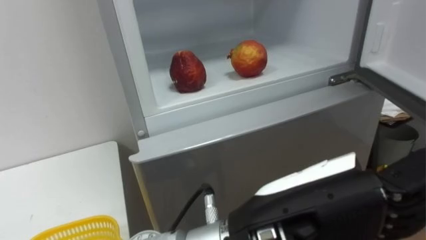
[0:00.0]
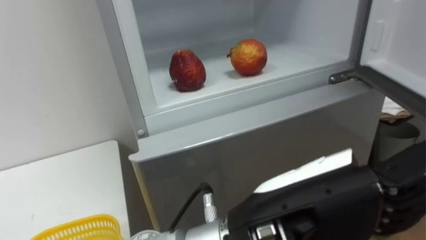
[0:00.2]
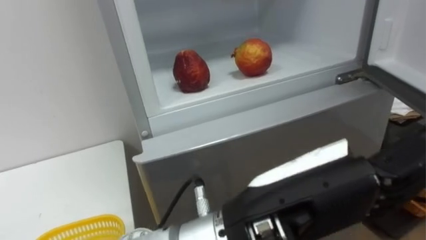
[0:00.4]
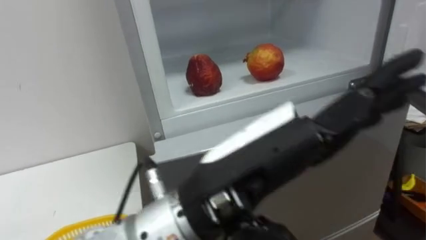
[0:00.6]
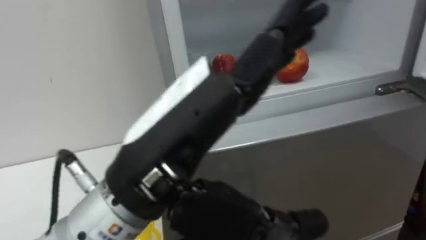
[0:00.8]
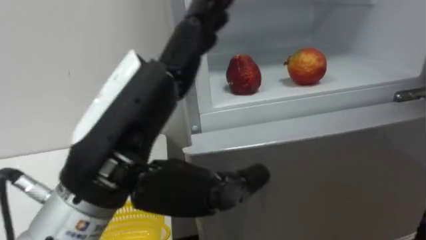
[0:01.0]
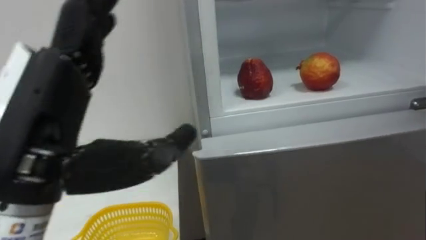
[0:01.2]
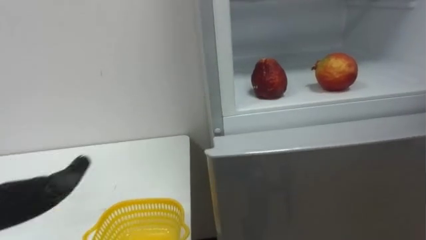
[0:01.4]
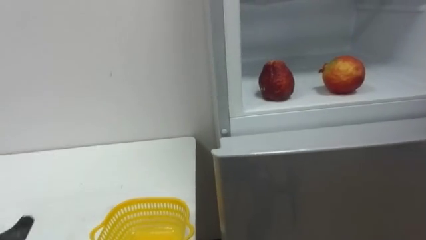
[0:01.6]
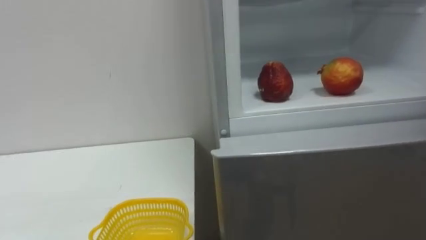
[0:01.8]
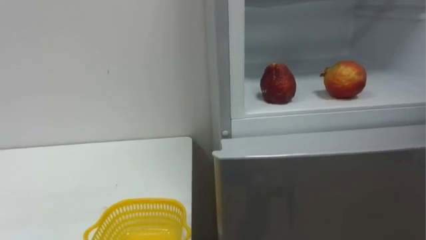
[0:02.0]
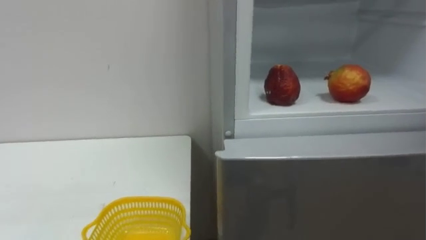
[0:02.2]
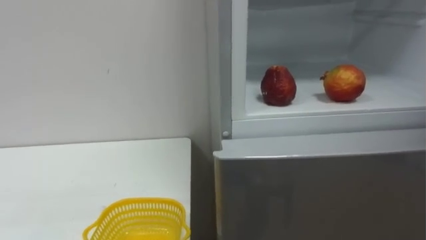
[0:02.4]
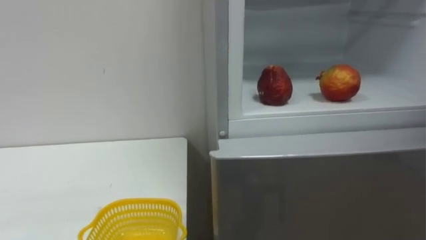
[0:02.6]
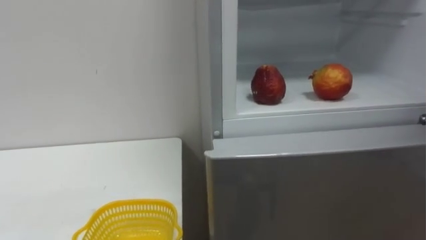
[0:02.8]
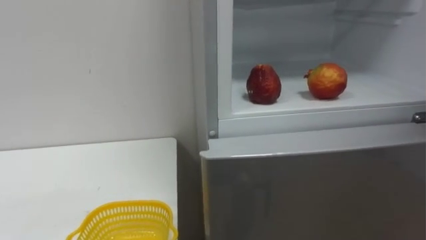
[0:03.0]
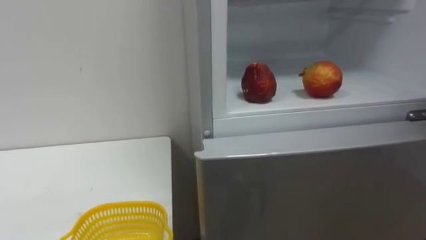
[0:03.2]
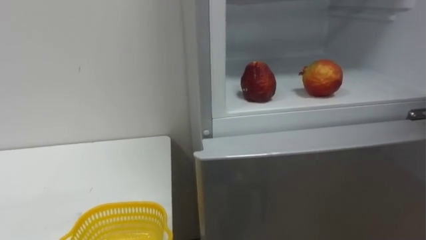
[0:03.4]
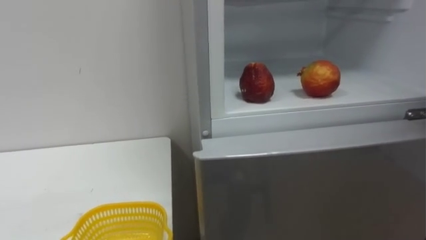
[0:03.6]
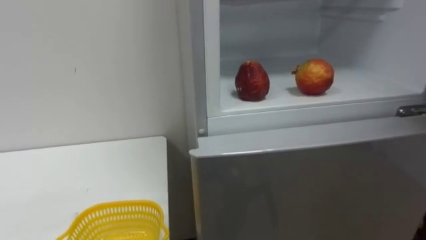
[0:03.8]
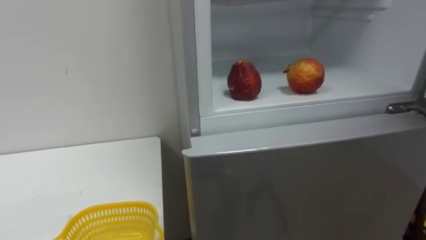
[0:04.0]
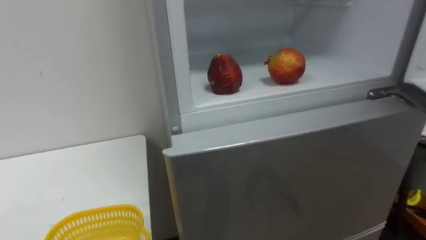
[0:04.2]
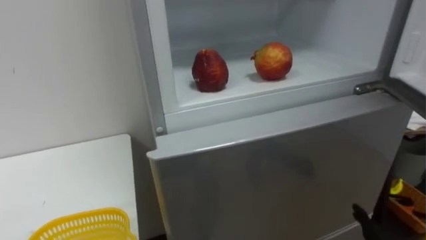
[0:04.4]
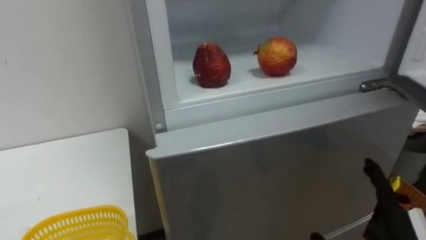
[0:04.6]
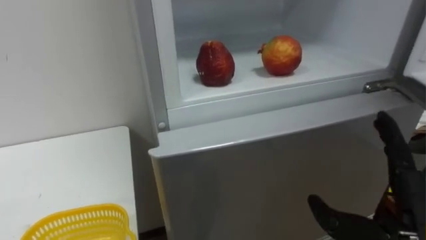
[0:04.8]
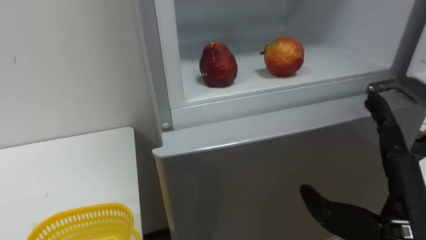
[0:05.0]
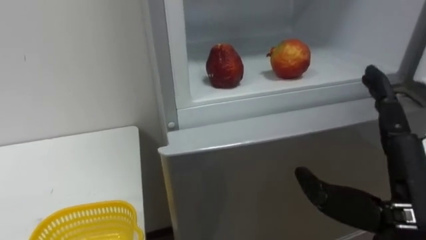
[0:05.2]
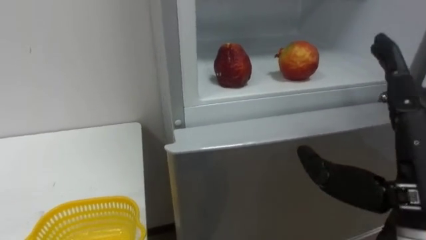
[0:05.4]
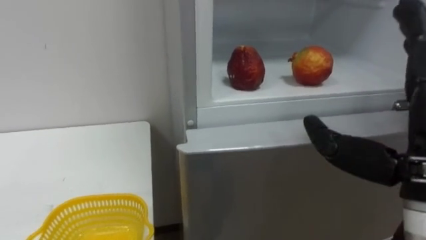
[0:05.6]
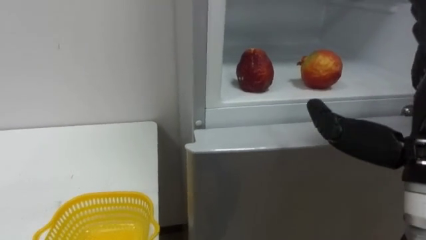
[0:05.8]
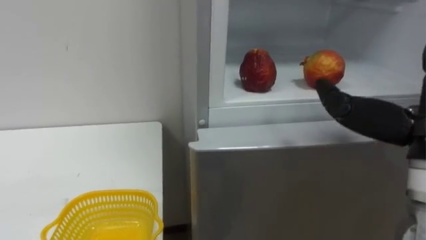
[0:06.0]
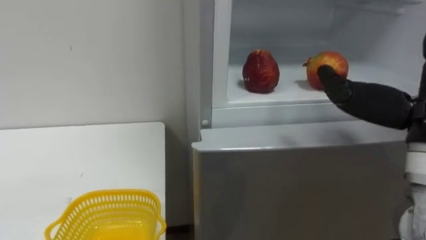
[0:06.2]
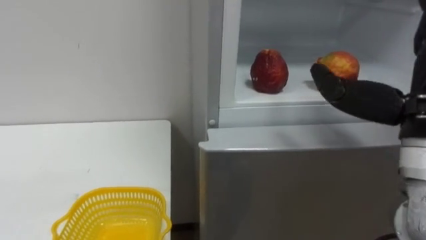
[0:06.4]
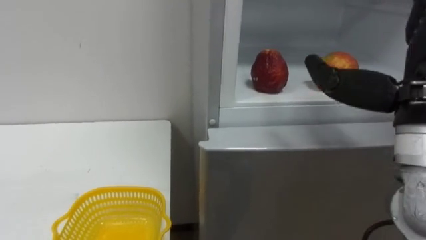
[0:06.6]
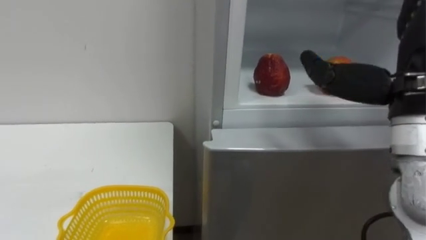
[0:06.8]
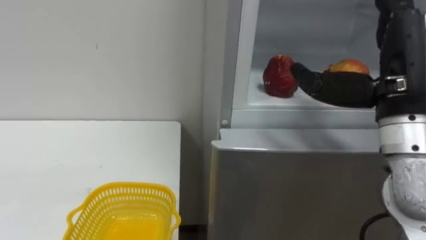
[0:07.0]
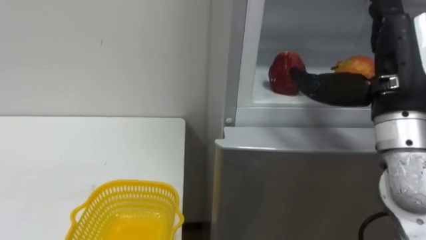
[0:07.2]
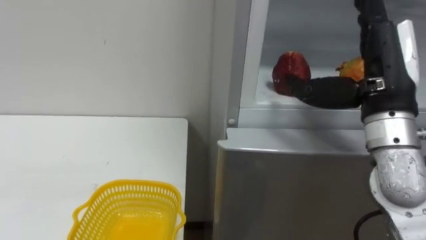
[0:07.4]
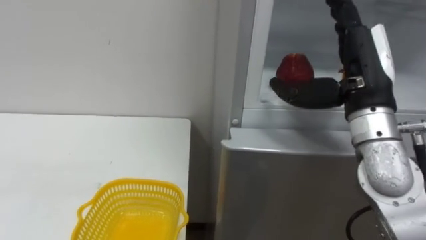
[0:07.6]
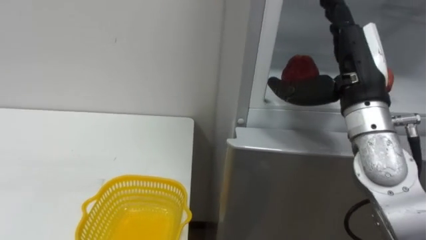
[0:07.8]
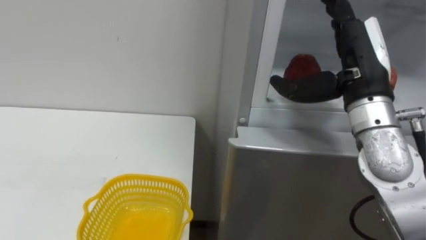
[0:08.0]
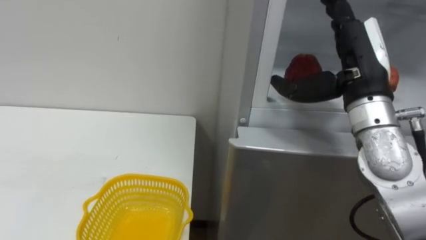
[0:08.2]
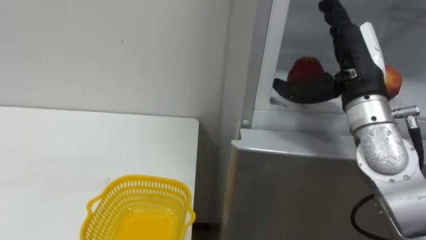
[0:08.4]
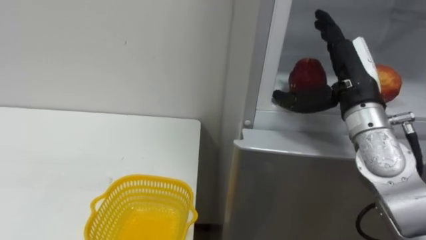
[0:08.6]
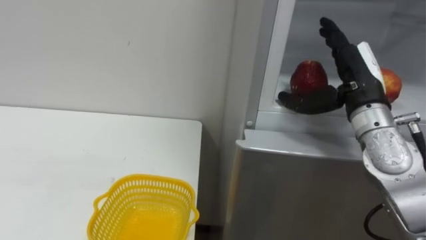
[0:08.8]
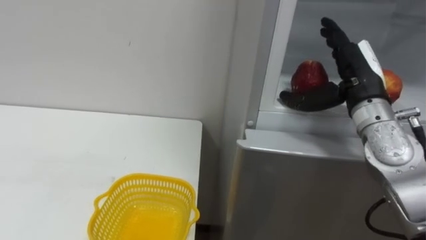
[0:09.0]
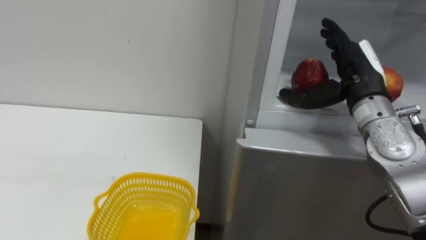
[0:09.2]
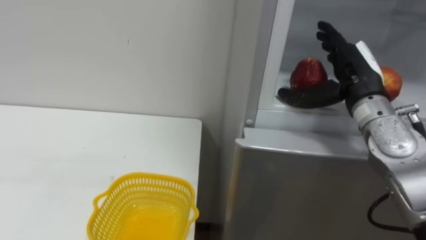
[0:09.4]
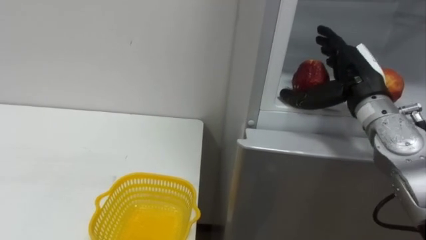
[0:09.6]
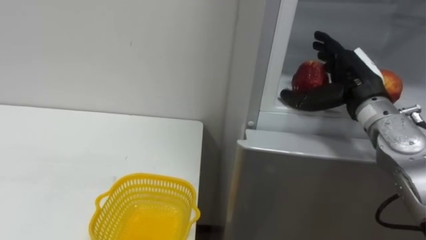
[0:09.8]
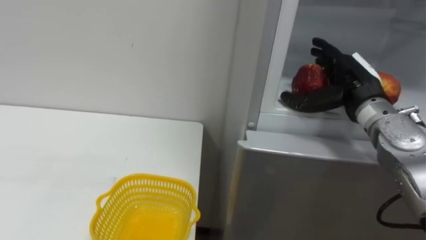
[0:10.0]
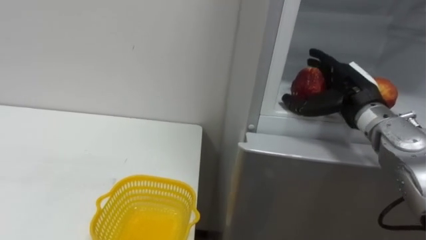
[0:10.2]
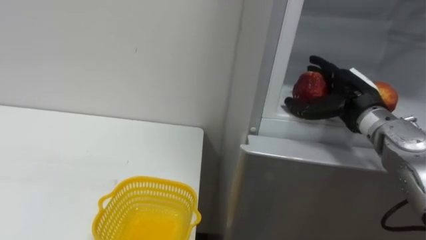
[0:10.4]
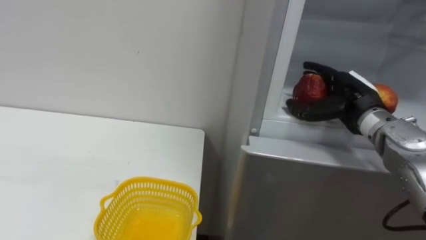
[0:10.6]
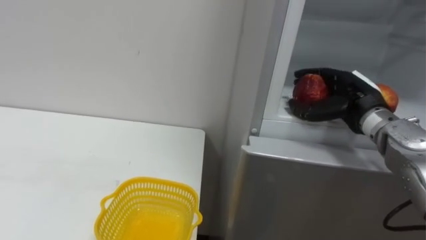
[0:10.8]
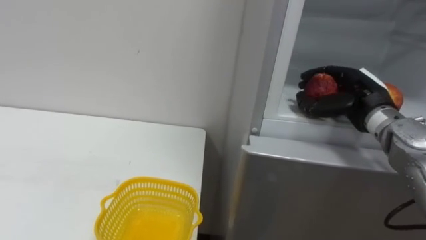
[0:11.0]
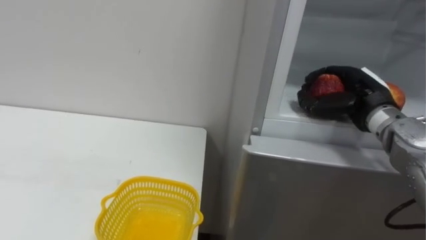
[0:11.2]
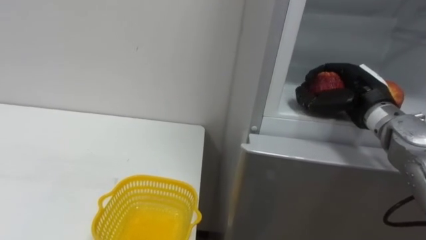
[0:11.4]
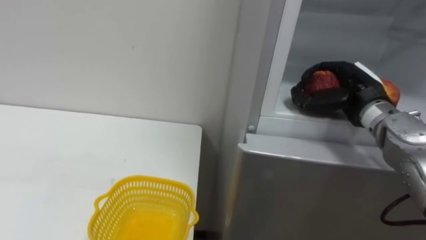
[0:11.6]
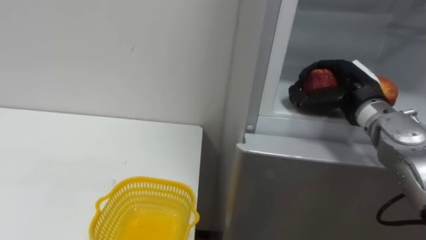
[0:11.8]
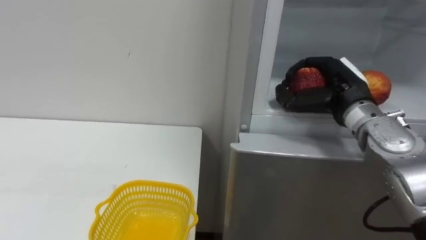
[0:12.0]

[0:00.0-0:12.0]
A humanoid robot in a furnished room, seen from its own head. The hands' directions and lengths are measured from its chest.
Task of the whole recording: Open the refrigerator door, take out the apple and the pomegranate, place them in the fruit basket on the left, and close the refrigerator door.
0:07.6 to 0:09.0: The right hand goes approximately 5 cm forward.
0:09.0 to 0:10.4: The right hand ends up roughly 5 cm from where it was.
0:10.4 to 0:12.0: The right hand closes up.

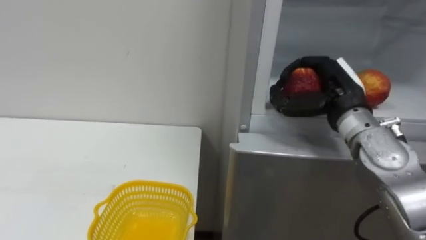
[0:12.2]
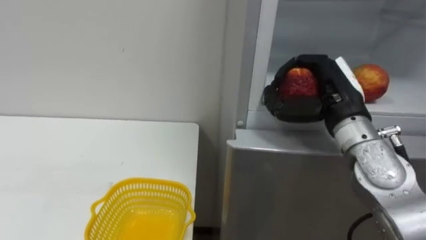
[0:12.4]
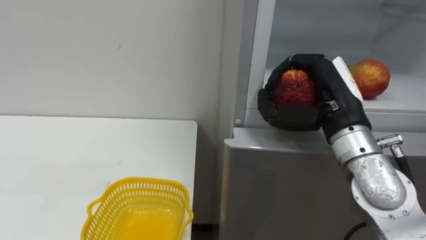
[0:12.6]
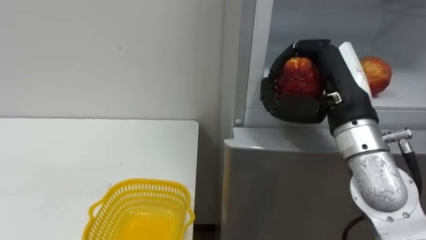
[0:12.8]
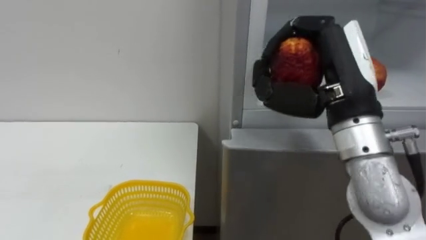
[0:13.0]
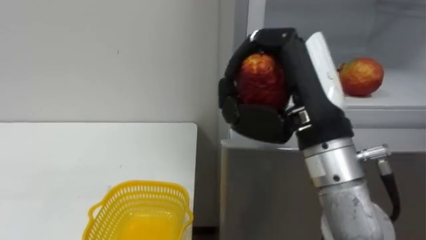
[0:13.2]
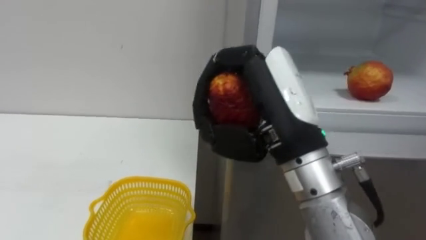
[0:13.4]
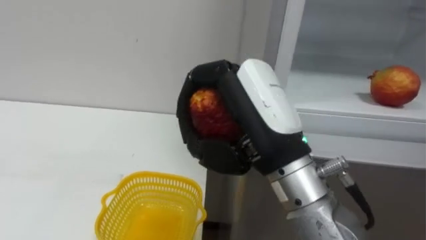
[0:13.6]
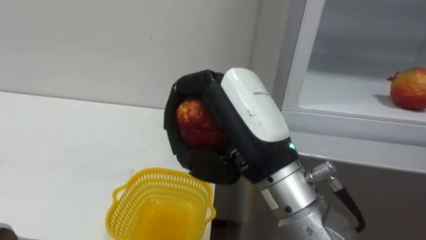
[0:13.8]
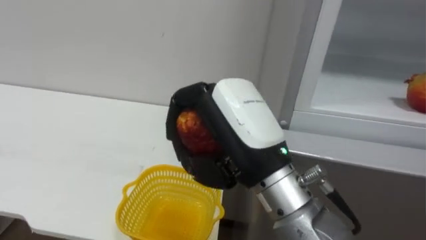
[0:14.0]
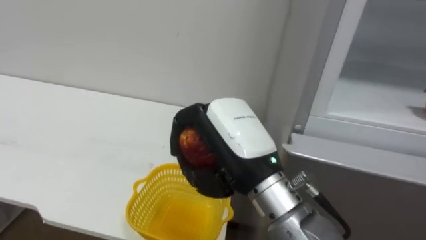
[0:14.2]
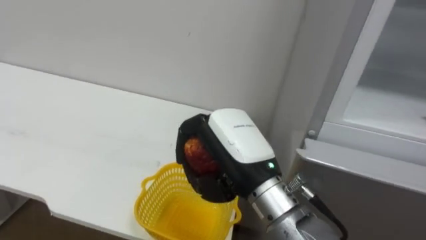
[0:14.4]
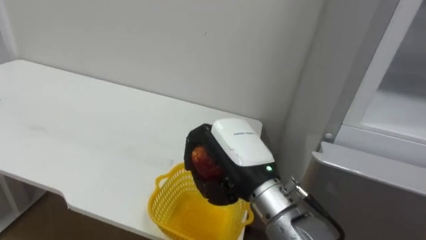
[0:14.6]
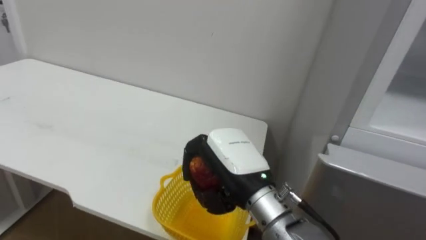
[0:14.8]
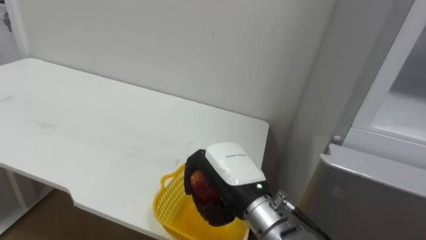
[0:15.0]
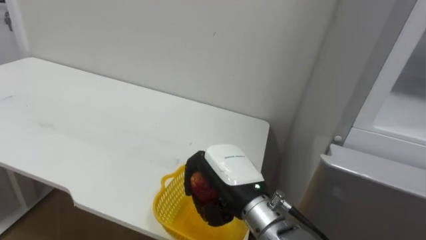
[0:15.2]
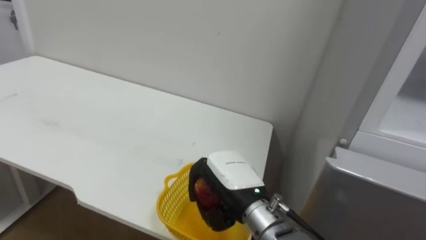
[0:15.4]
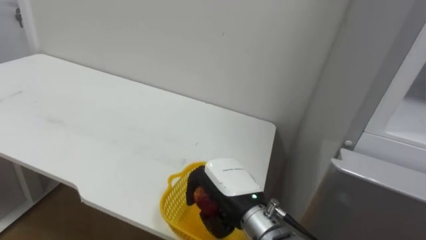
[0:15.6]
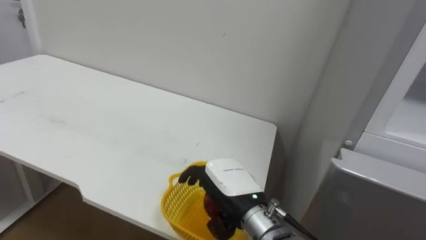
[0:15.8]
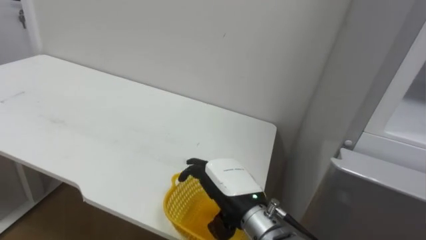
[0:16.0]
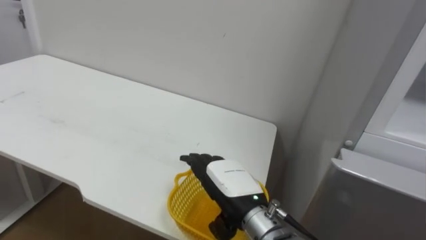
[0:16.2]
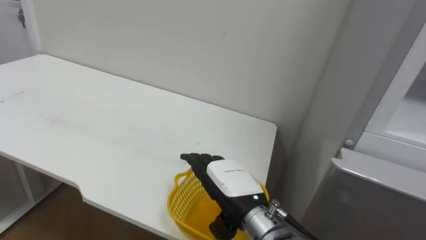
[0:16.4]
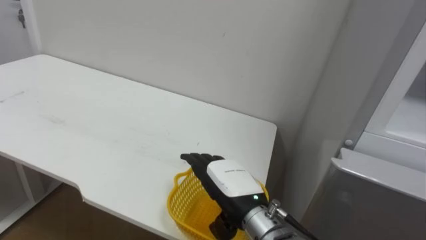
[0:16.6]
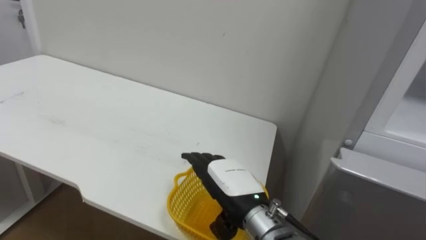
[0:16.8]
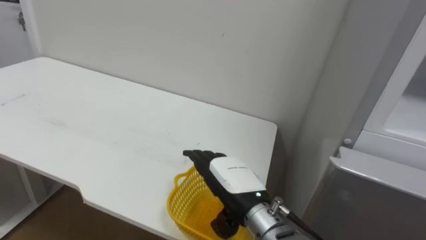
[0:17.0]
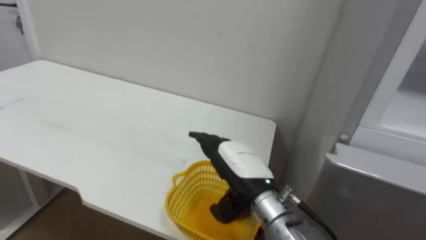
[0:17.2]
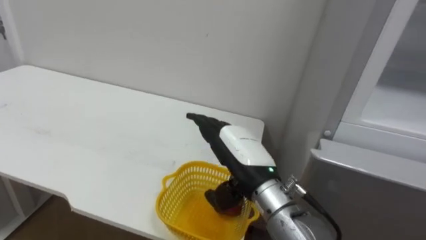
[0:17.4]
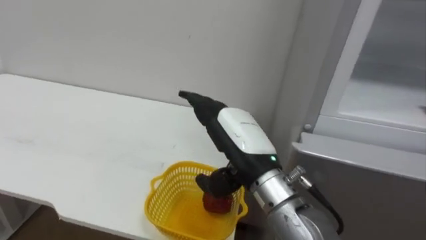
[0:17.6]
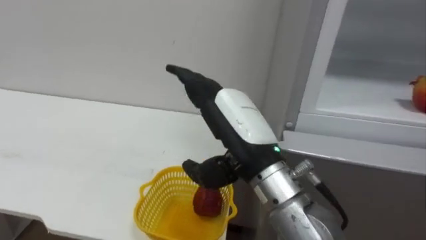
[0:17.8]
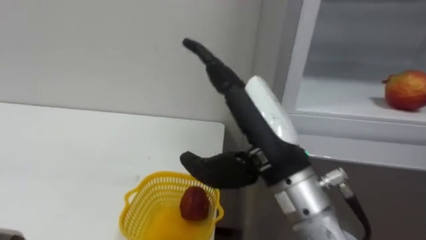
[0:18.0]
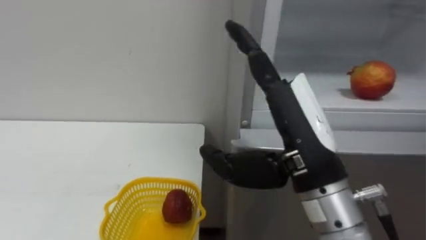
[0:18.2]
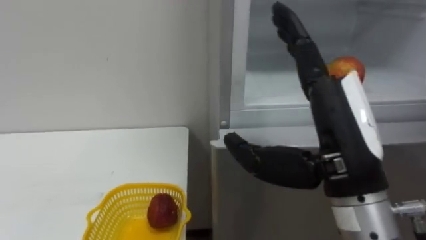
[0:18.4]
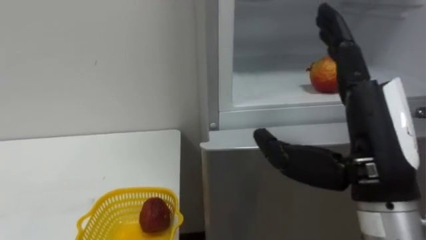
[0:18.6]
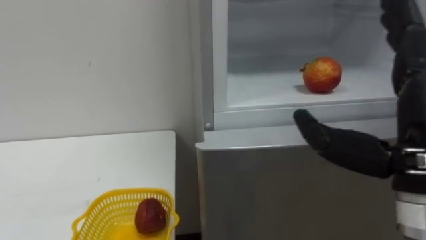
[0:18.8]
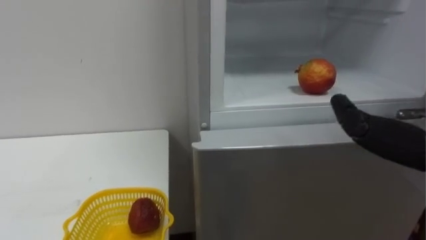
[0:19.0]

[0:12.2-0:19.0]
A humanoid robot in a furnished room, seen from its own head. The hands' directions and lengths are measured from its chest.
Task of the whole recording: Open the refrigerator door, take out the apple and the pomegranate, place them in the fruit basket on the left, and close the refrigerator door.
0:12.2 to 0:13.6: The right hand shifts about 20 cm backward and to the left.
0:13.6 to 0:15.0: The right hand shifts about 15 cm downward.
0:15.0 to 0:16.2: The right hand opens its fingers.
0:16.2 to 0:17.6: The right hand moves upward, some 10 cm.
